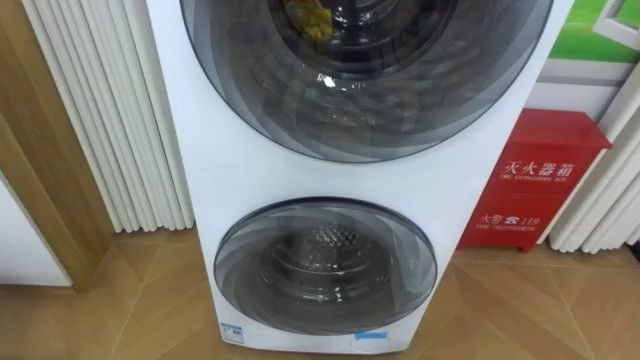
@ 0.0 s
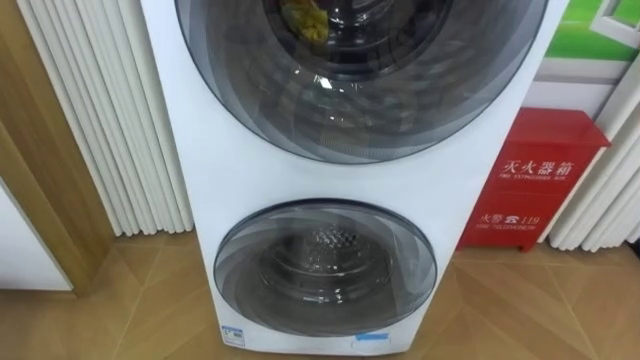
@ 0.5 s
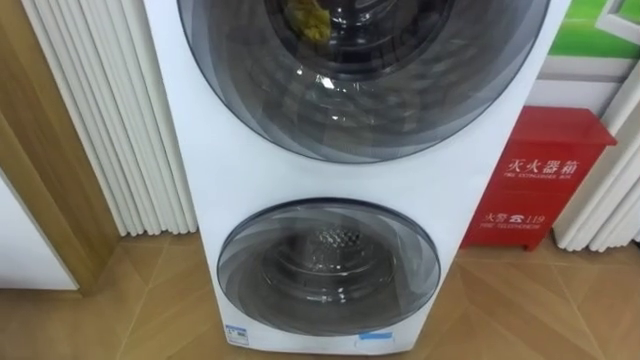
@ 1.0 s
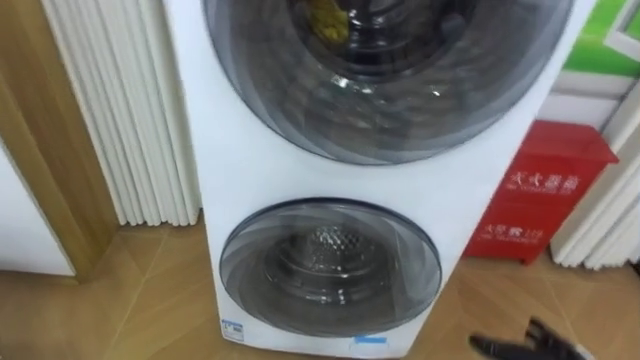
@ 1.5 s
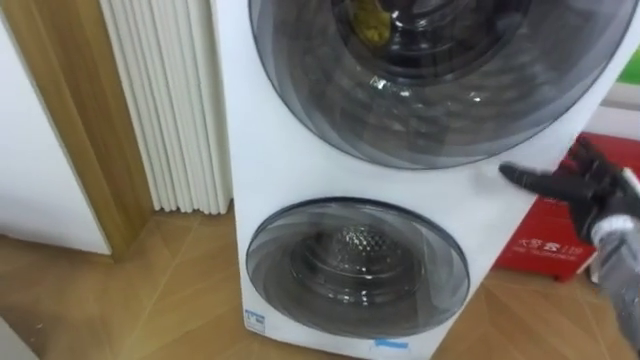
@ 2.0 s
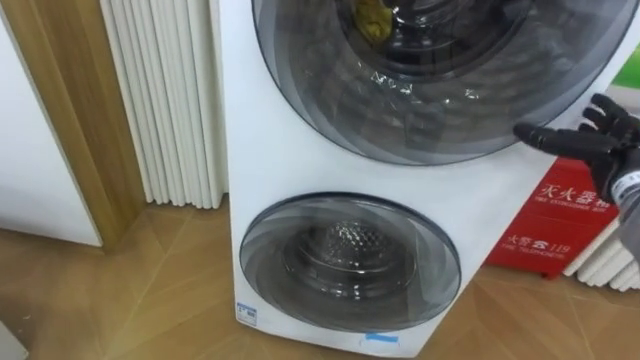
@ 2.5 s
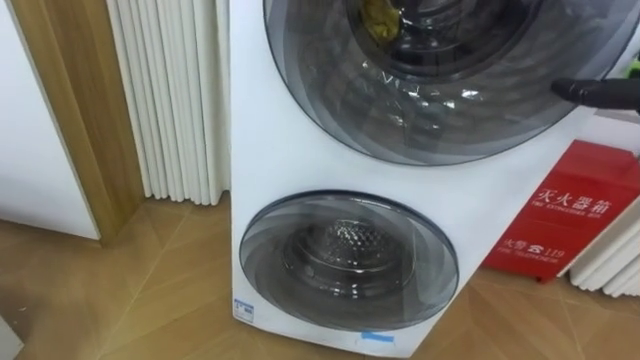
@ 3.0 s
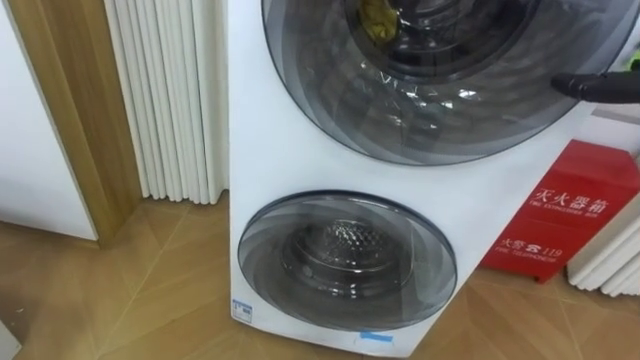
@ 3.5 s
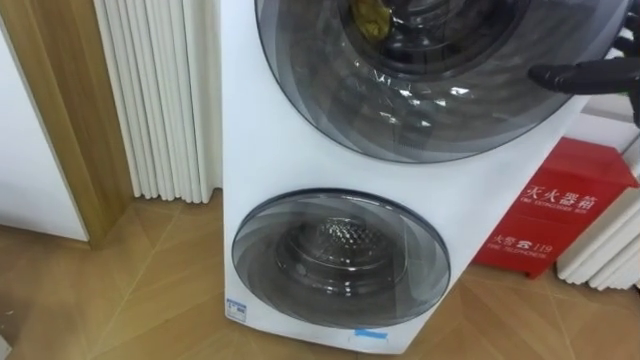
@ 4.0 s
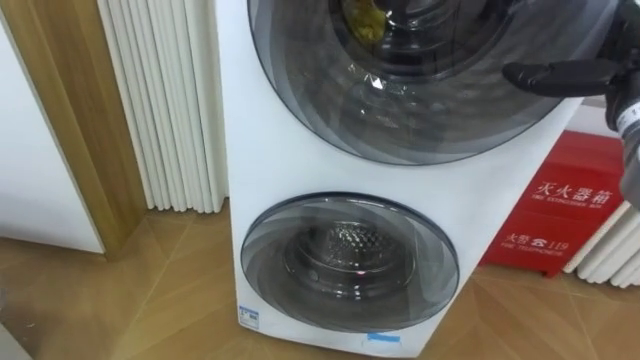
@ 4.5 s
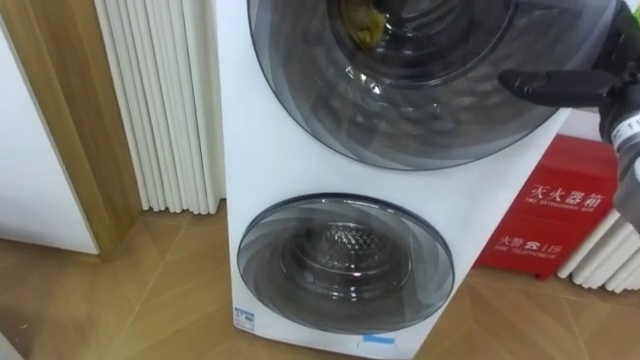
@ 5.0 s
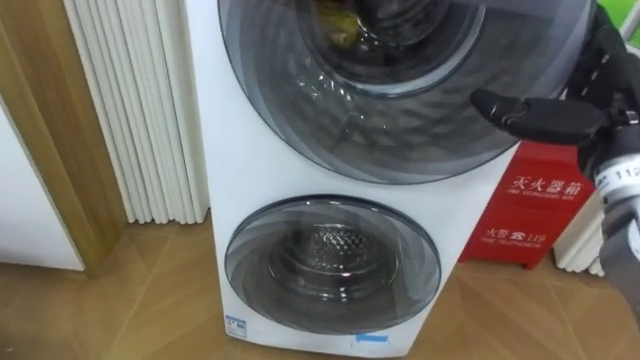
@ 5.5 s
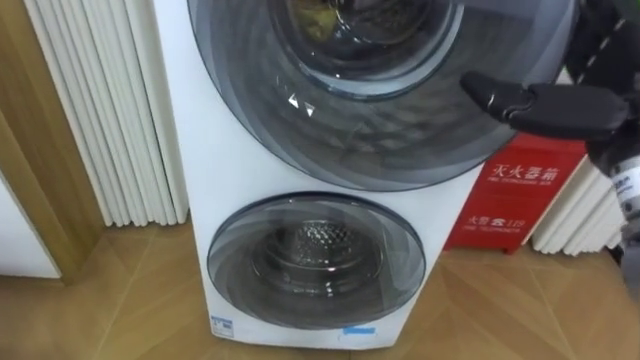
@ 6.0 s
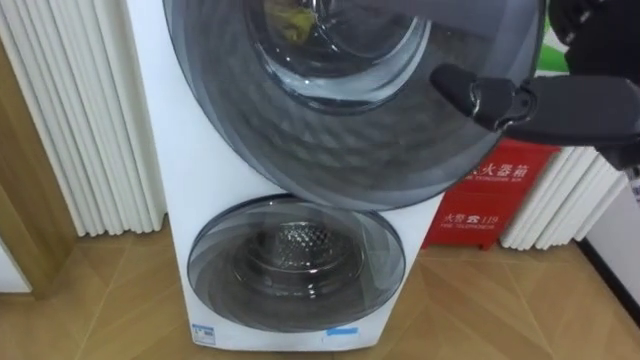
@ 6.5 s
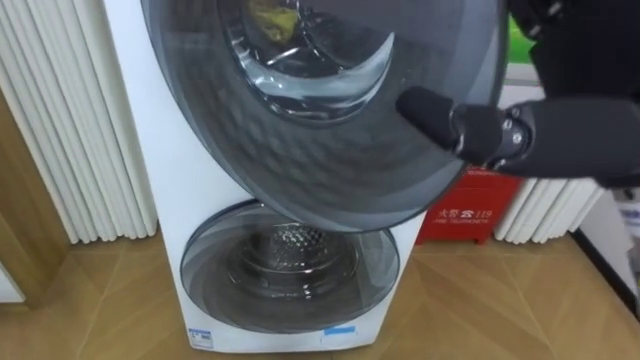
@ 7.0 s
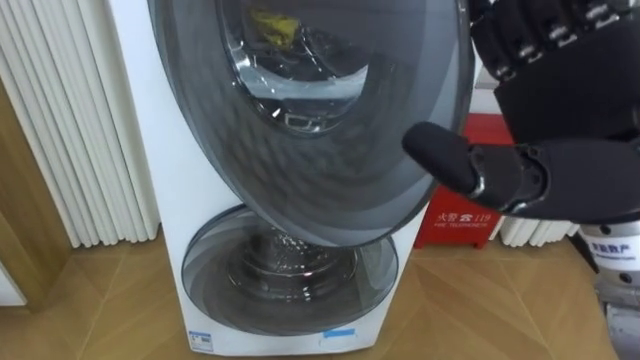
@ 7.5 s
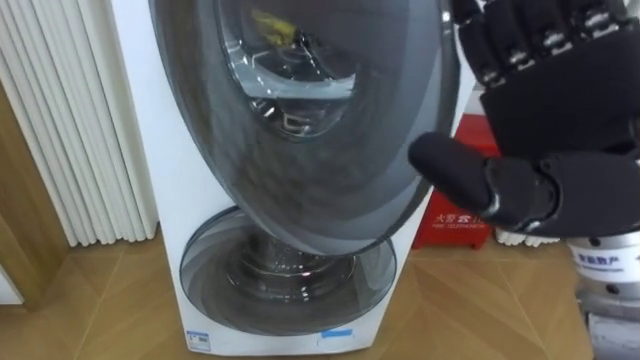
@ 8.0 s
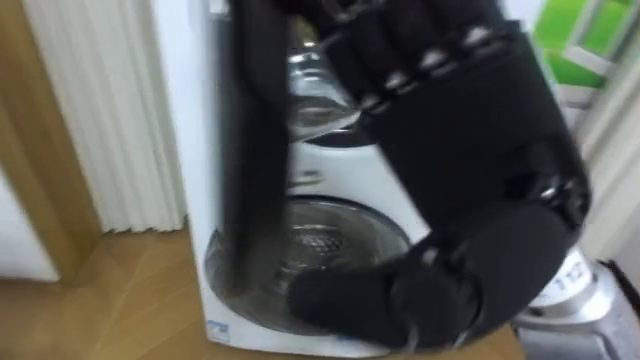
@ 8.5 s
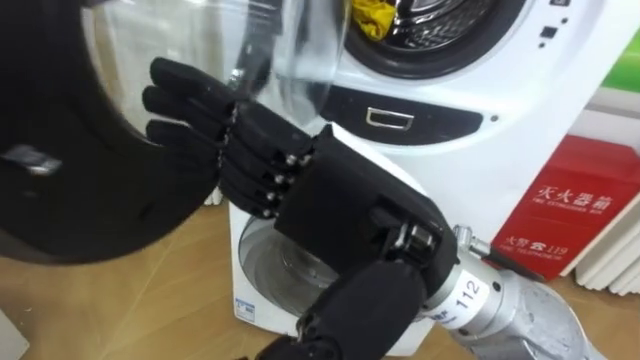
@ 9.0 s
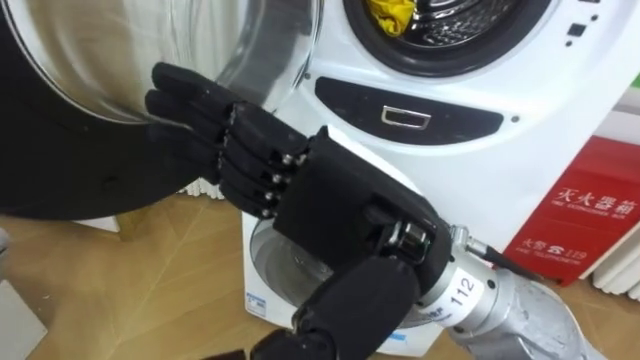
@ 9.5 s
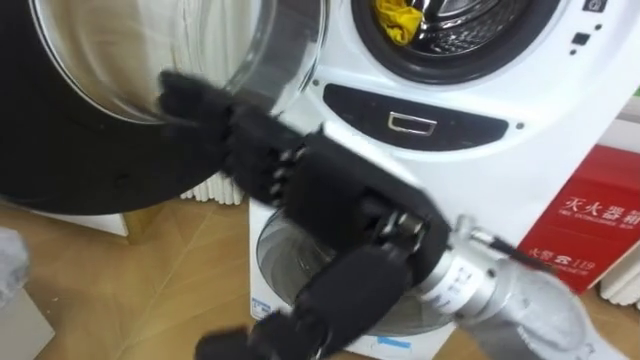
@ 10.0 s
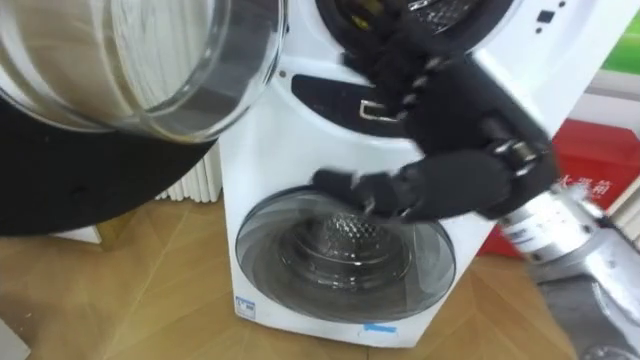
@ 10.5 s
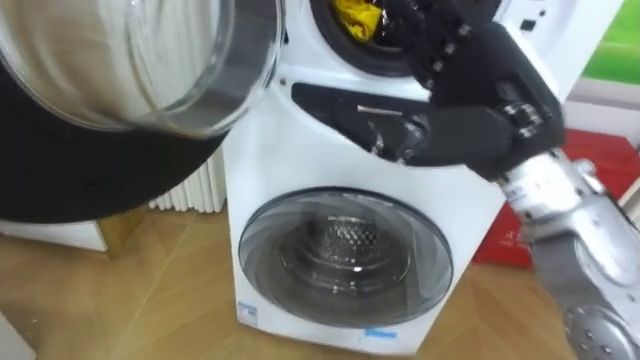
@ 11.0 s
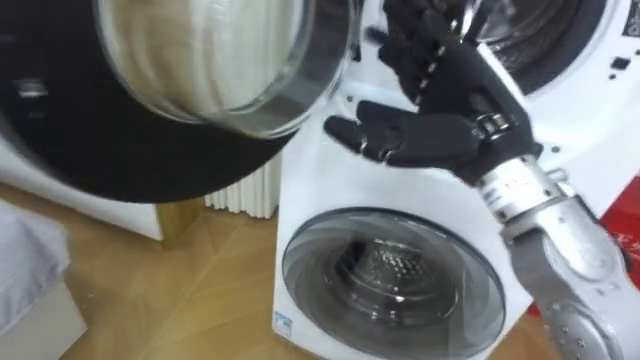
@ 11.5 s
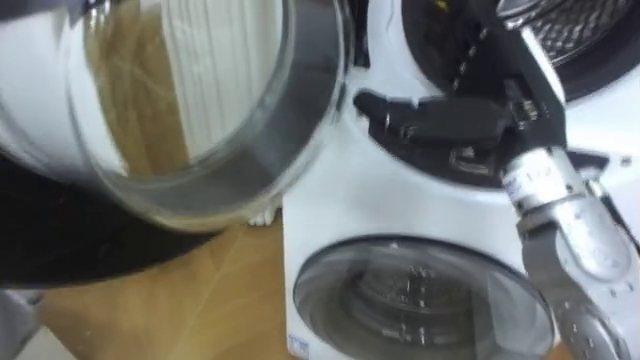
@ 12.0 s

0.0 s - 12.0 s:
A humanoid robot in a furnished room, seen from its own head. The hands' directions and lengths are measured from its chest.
Task of the whole recording: Open the washing machine door, take out the yellow clothes, place them in the box on the right, and close the washing machine door.
6.0 s - 8.0 s: The right hand goes some 10 cm to the left and backward.
8.0 s - 10.0 s: The right hand shifts roughly 15 cm to the left.
10.0 s - 12.0 s: The right hand goes about 15 cm to the right and forward.

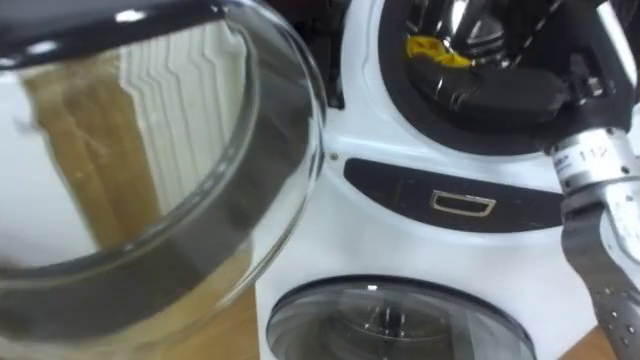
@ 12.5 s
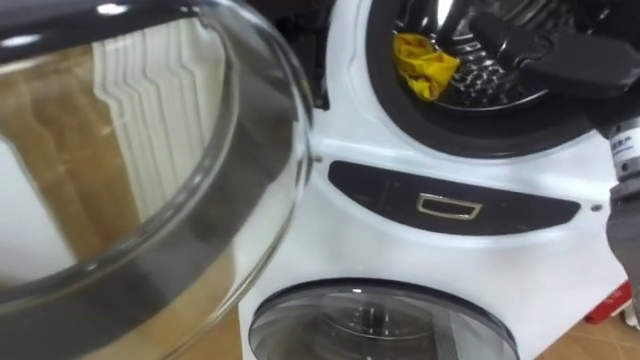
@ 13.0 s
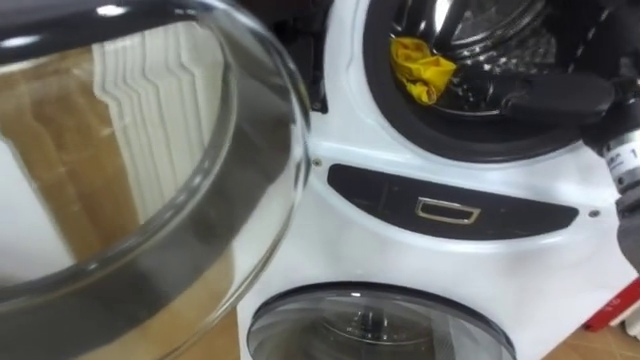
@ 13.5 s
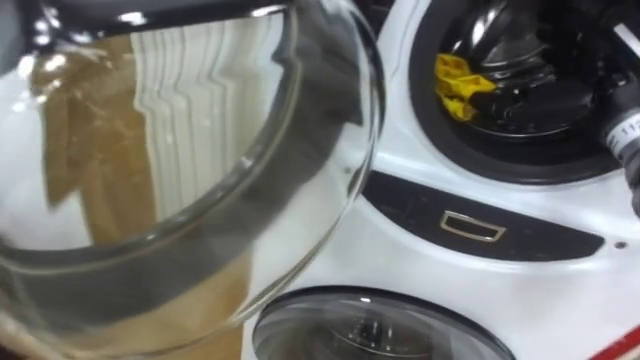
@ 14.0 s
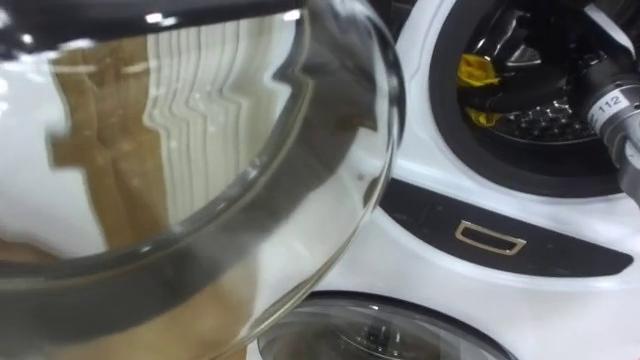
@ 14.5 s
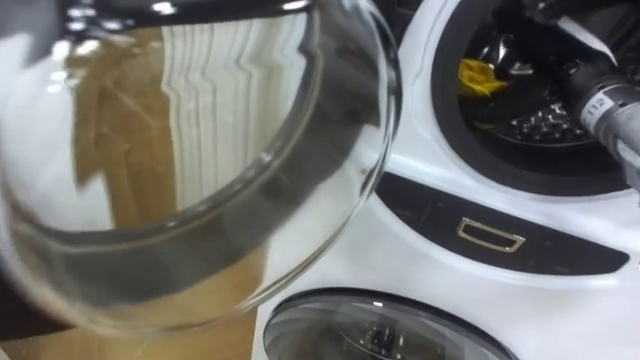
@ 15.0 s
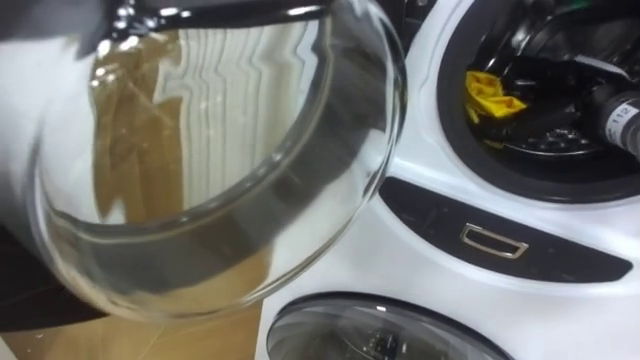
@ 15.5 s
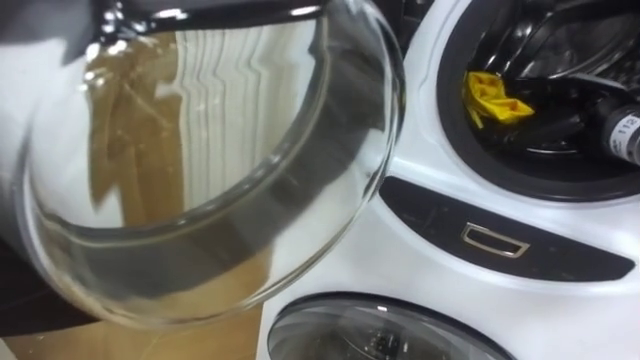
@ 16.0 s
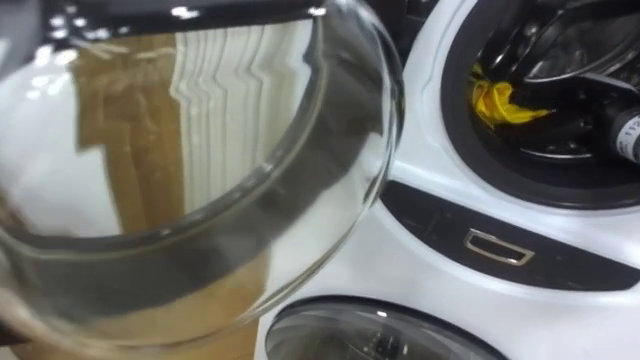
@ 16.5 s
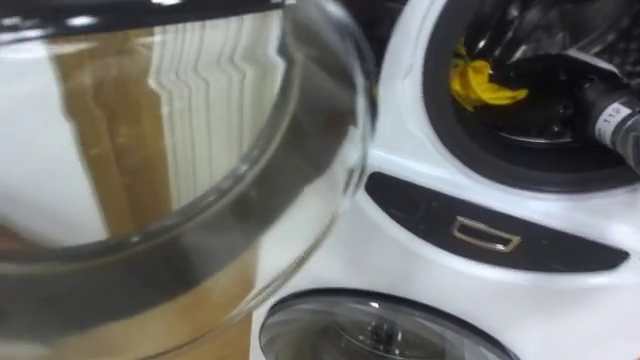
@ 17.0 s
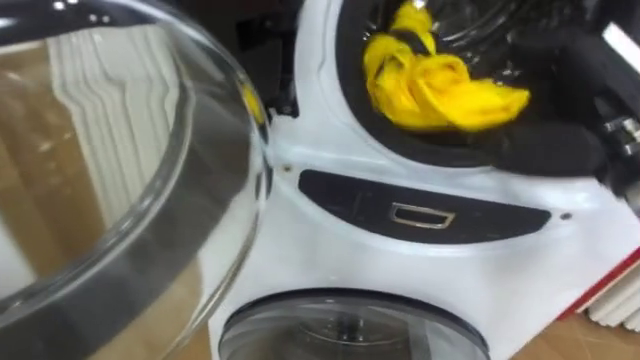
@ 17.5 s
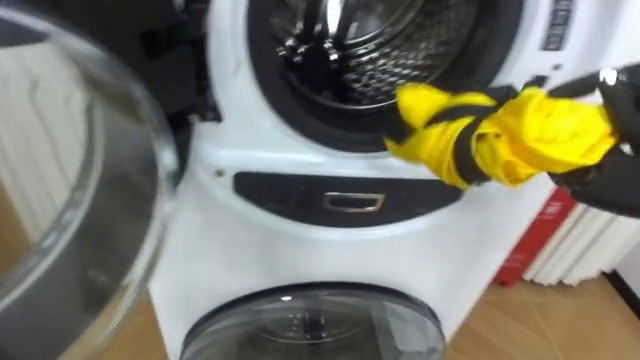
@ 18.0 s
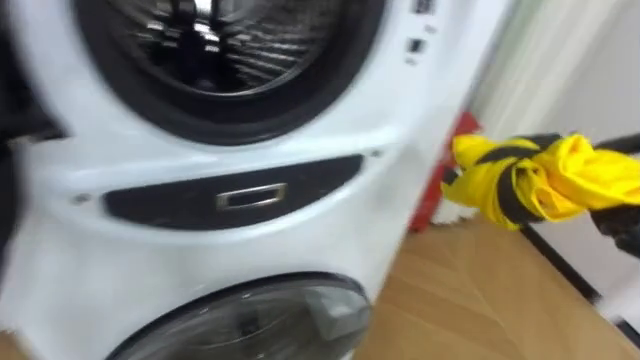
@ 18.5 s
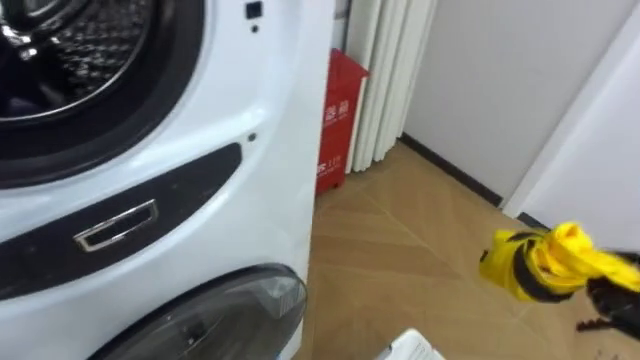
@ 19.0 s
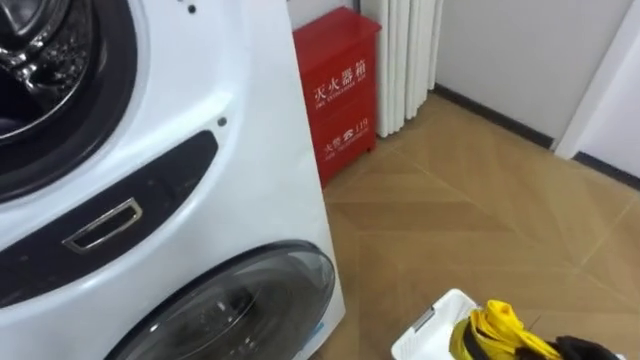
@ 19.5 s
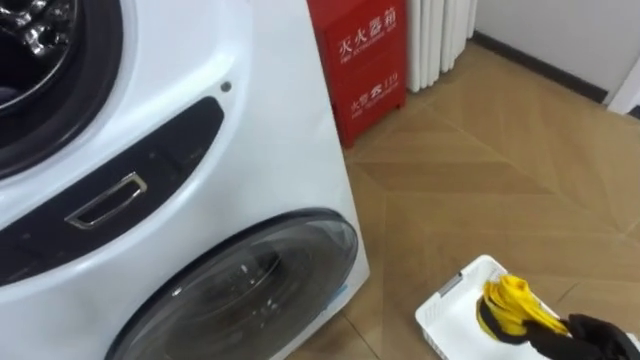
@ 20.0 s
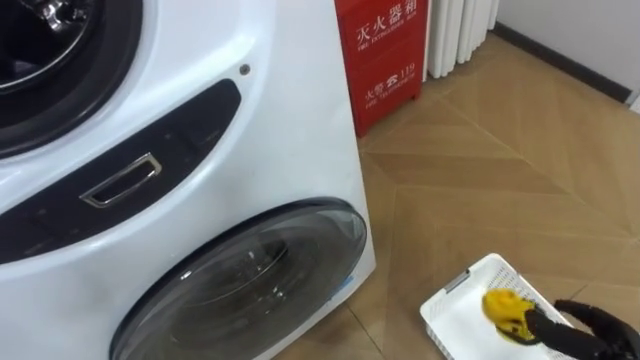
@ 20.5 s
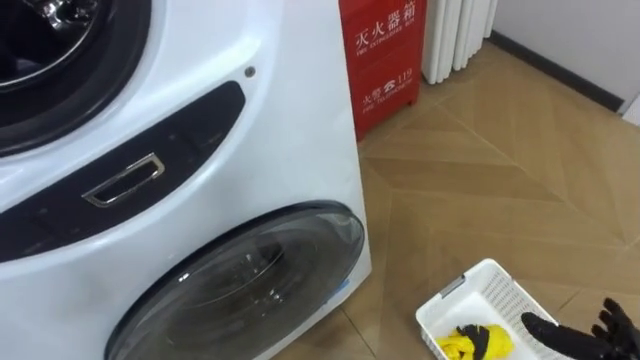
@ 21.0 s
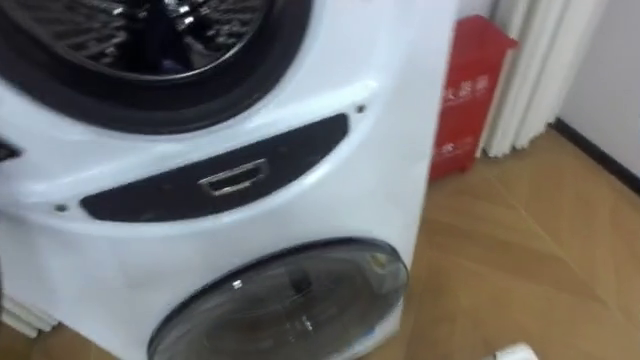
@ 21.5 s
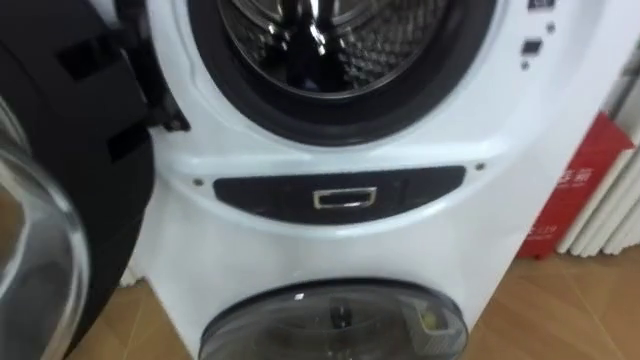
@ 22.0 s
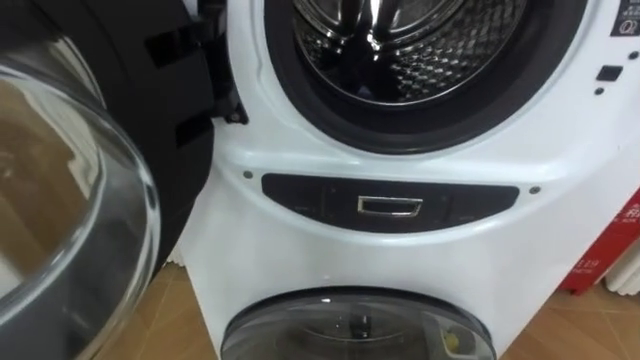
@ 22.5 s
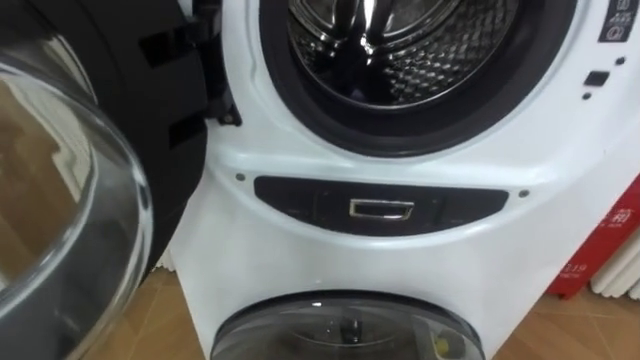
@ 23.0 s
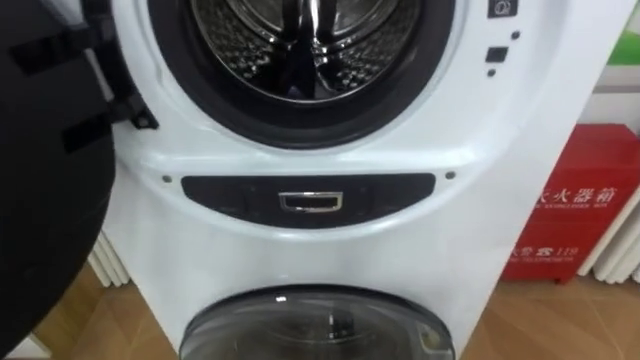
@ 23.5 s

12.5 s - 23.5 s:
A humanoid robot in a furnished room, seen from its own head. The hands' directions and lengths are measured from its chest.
Task of the whole recording: Open the washing machine door, take out the yellow clothes, place them in the box on the right, and close the washing machine door.
12.5 s - 14.5 s: The right hand goes roughly 10 cm forward and to the right.
14.5 s - 16.0 s: The right hand moves downward, about 5 cm.
18.0 s - 20.0 s: The robot faces approximately 20 degrees further to its right.
